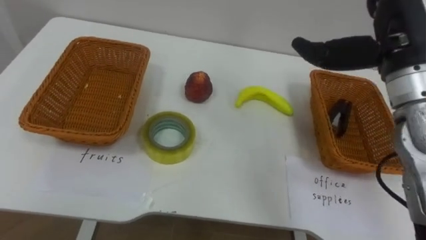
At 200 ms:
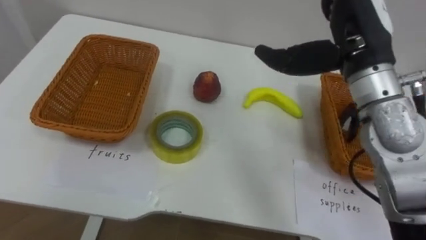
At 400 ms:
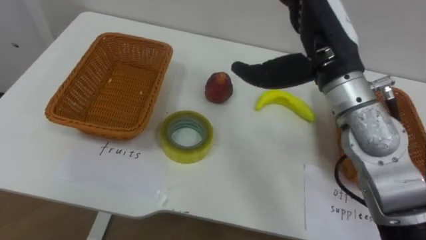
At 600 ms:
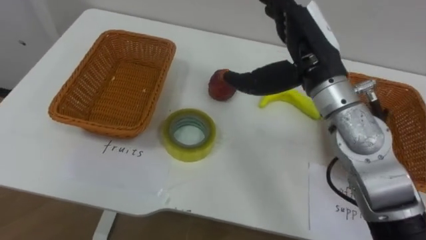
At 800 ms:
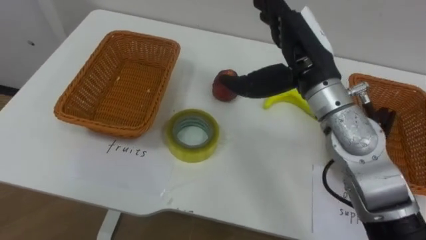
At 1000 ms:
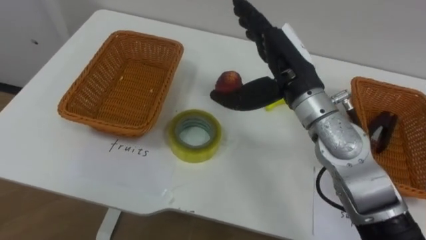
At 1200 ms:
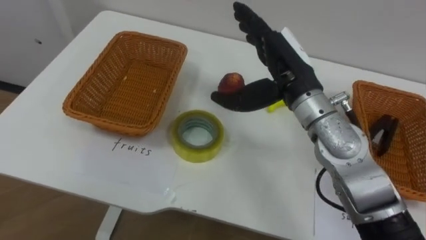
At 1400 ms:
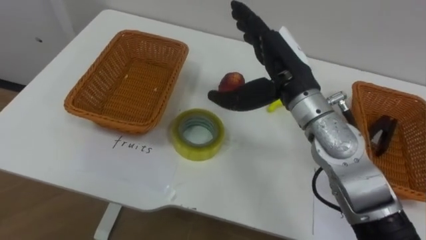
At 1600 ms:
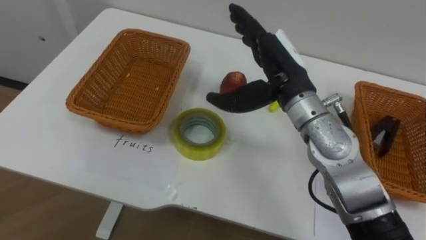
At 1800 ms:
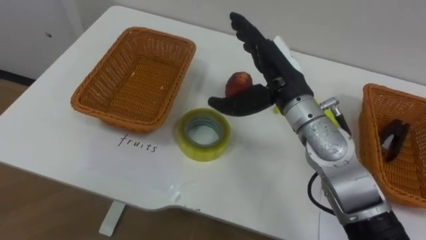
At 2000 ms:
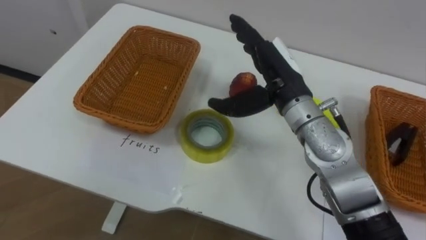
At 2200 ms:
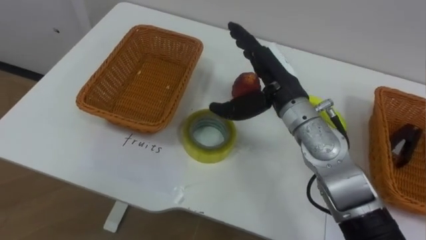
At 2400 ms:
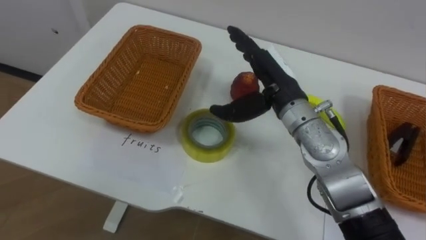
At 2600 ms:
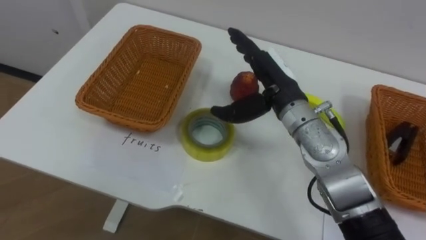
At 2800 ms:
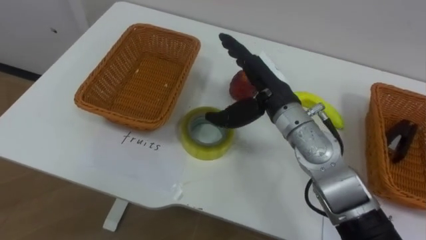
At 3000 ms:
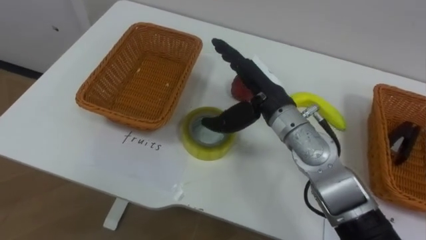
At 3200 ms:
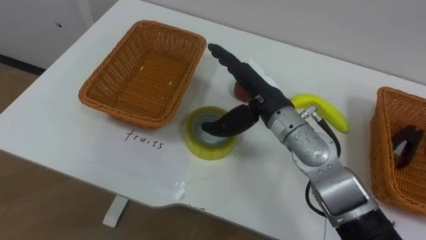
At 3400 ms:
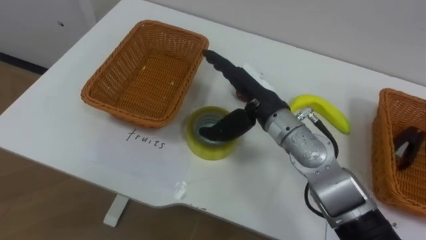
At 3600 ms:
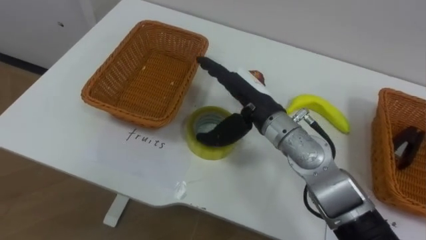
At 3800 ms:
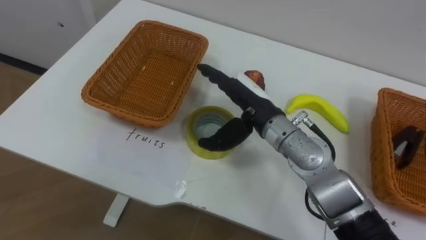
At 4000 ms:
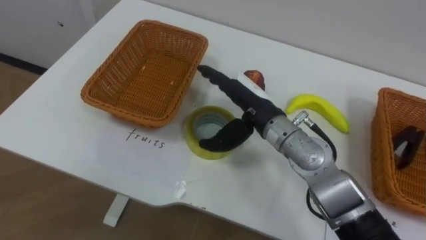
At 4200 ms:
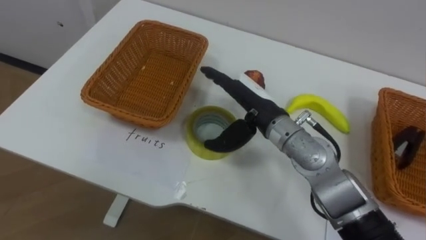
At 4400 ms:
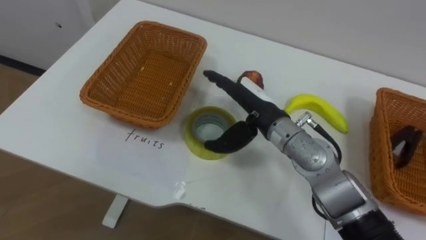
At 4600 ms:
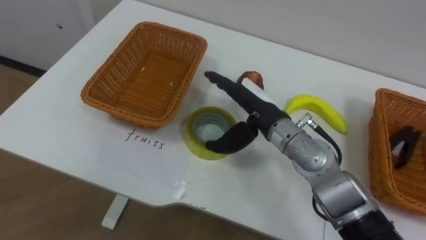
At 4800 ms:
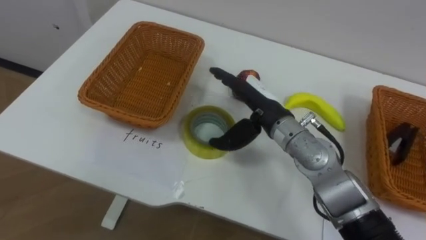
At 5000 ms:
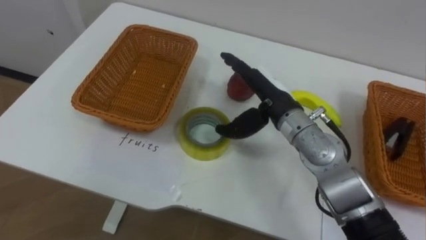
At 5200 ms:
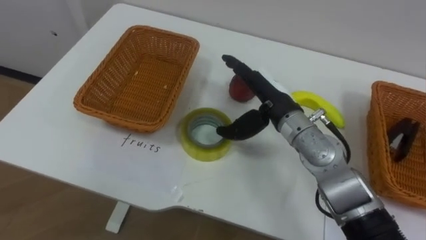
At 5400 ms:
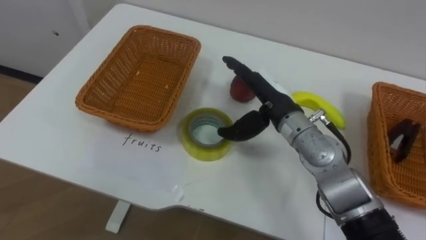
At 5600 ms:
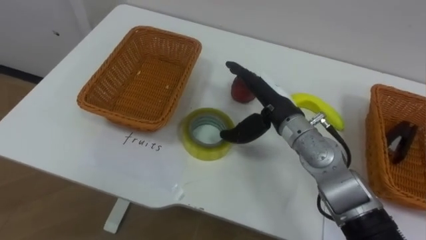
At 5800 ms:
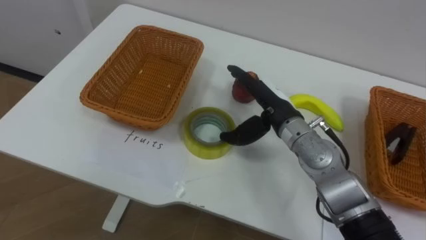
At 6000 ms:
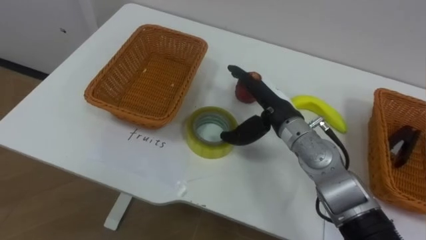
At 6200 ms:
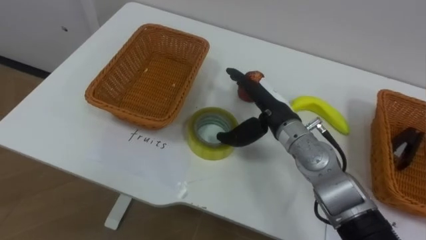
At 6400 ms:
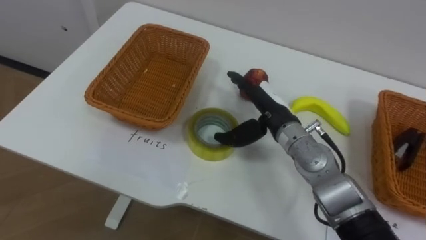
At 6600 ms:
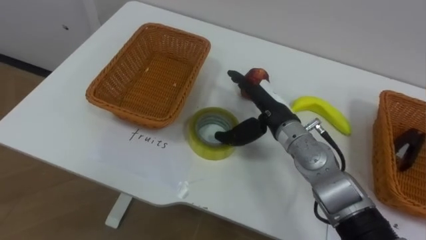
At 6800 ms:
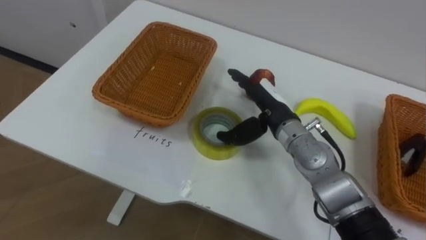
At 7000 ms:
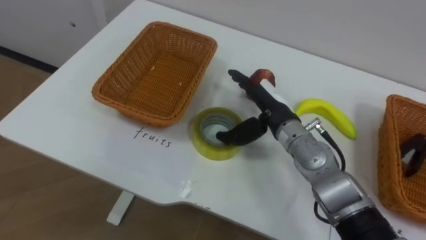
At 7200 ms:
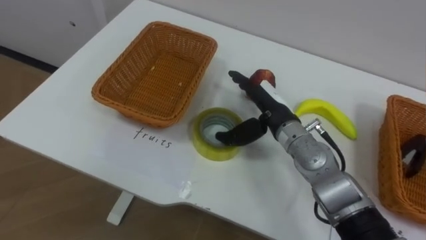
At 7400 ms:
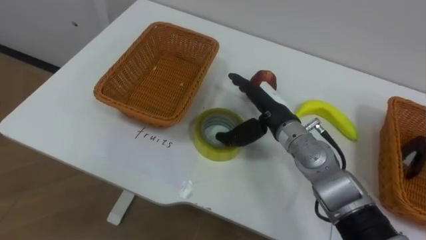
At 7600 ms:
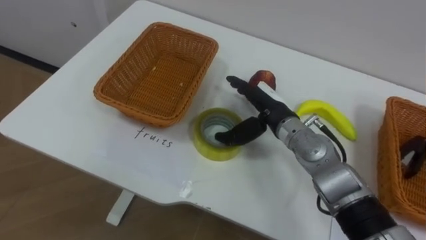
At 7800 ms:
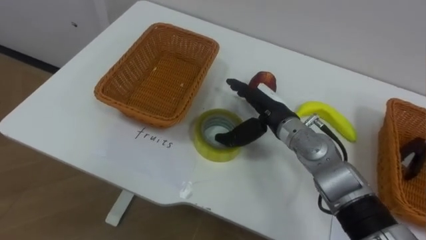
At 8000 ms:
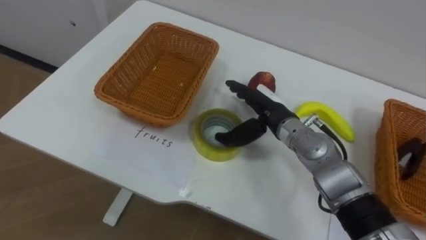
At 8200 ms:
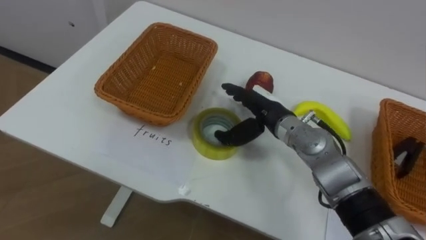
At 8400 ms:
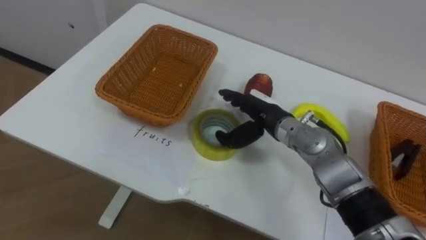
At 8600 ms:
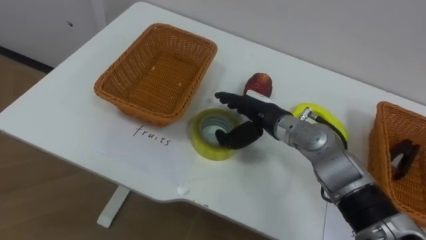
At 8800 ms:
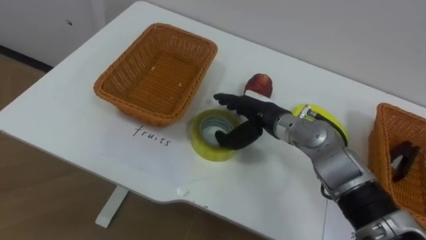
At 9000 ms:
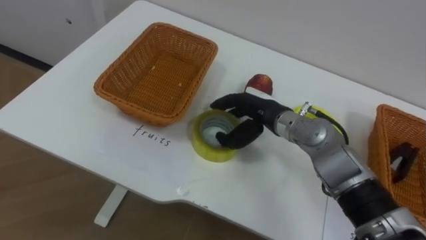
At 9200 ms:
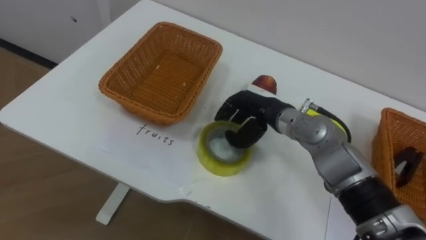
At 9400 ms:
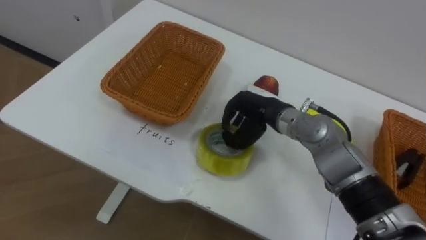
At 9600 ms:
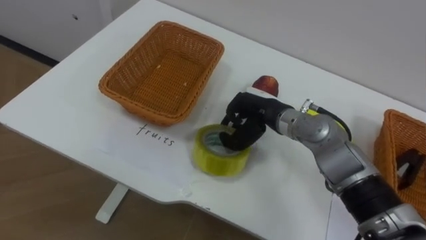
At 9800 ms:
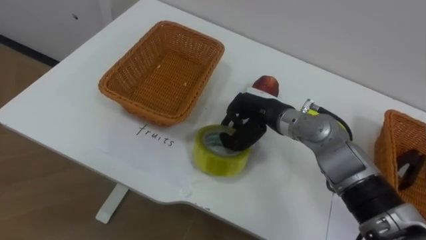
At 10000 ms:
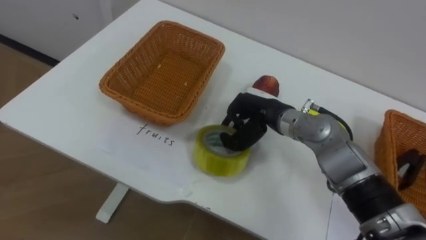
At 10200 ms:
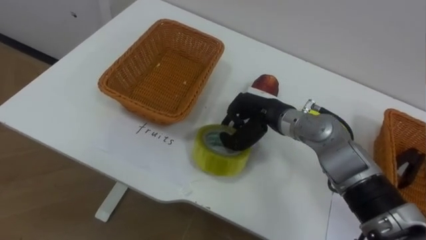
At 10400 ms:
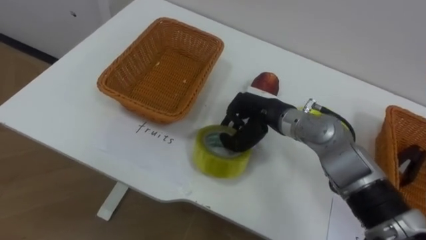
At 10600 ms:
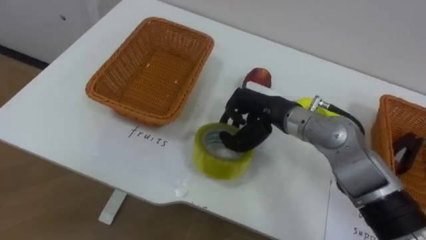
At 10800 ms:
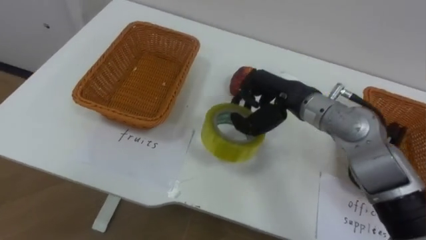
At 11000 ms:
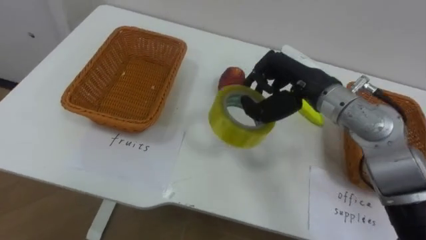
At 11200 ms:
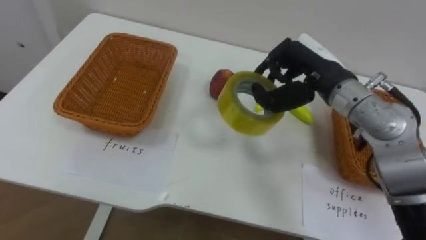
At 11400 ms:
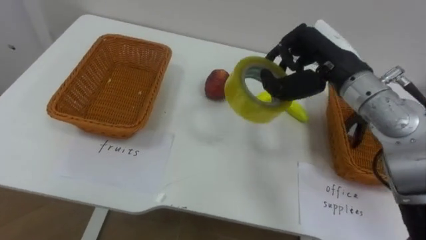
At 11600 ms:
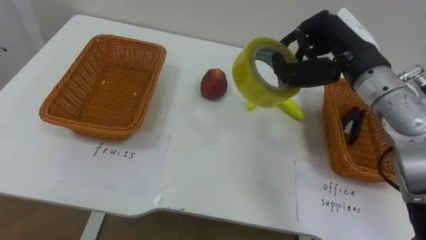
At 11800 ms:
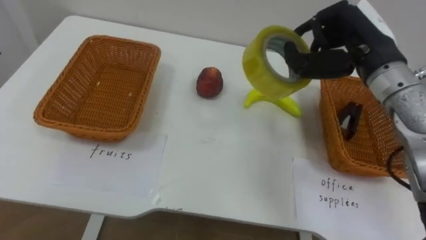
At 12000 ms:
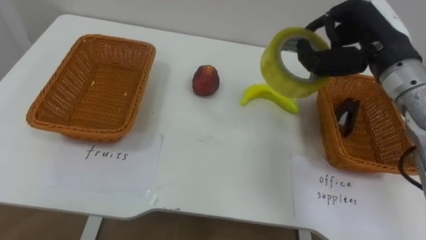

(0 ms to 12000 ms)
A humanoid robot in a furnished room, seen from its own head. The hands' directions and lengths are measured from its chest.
Task of the whole recording: Separate the items on the table and place them into the two baskets.
0 ms - 1600 ms: The right hand shifts about 15 cm to the left and downward.
9000 ms - 10400 ms: The right hand closes.
10400 ms - 12000 ms: The right hand is displaced upward and to the right by some 20 cm.

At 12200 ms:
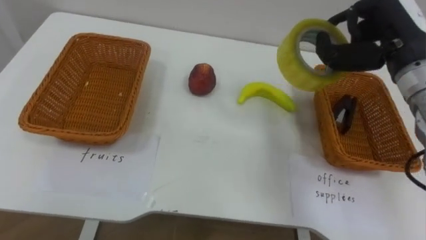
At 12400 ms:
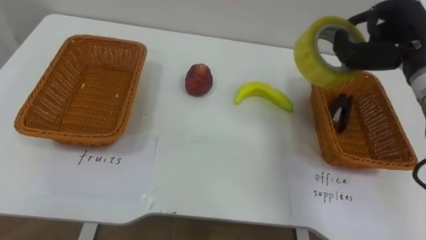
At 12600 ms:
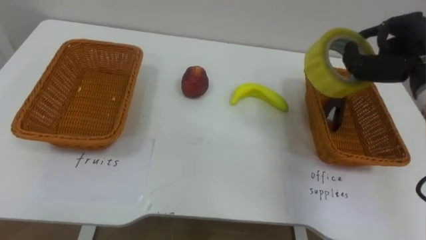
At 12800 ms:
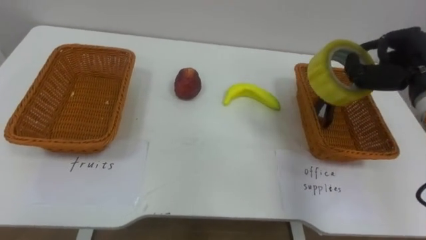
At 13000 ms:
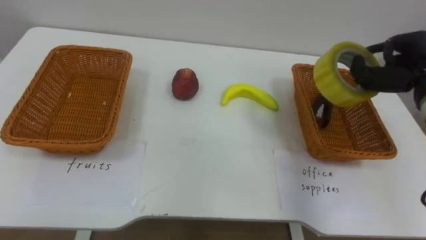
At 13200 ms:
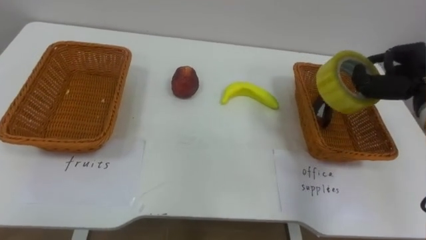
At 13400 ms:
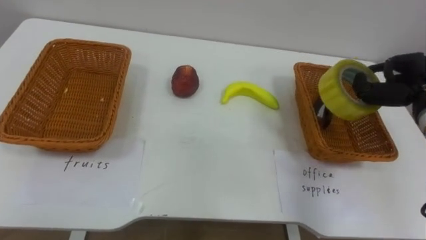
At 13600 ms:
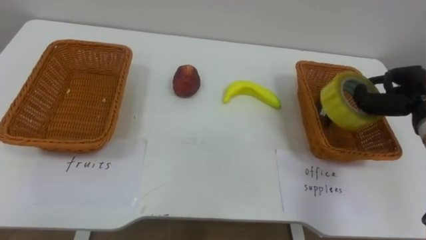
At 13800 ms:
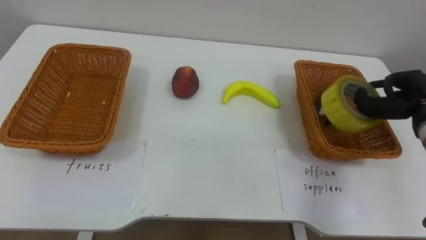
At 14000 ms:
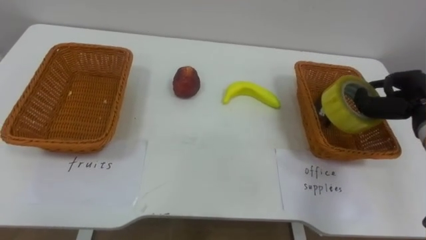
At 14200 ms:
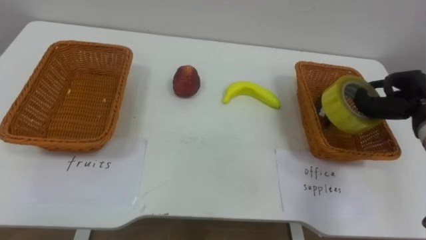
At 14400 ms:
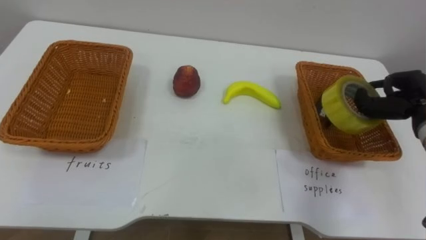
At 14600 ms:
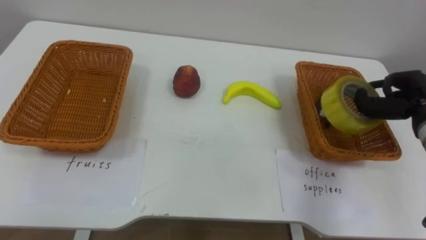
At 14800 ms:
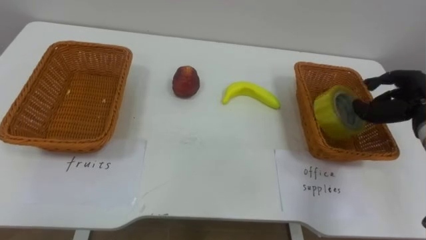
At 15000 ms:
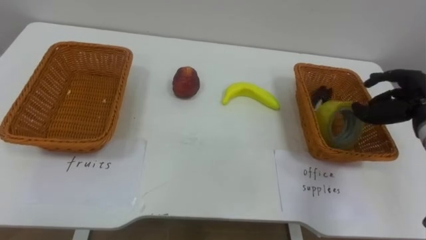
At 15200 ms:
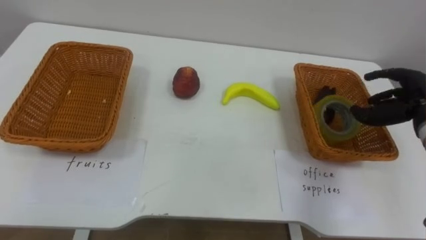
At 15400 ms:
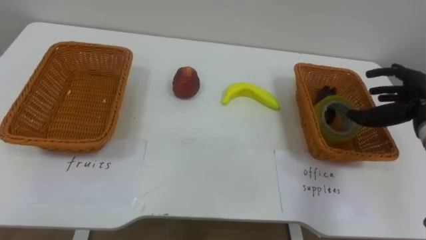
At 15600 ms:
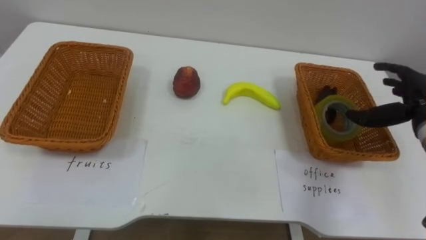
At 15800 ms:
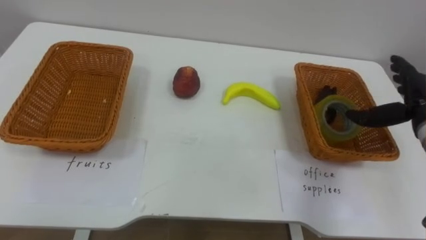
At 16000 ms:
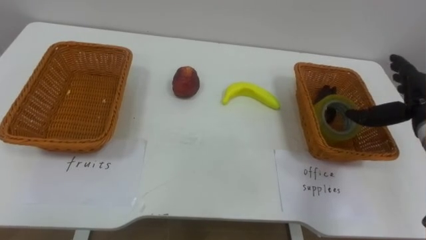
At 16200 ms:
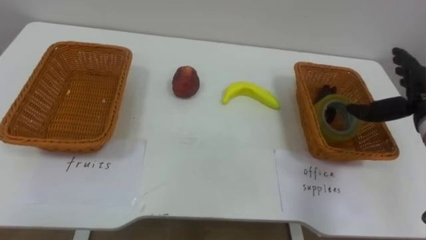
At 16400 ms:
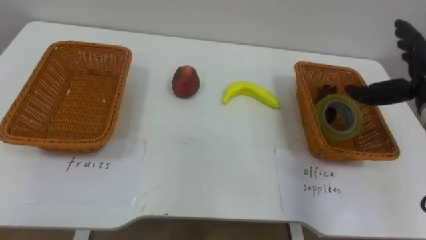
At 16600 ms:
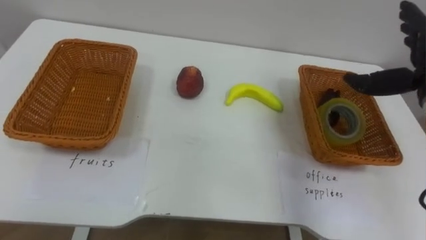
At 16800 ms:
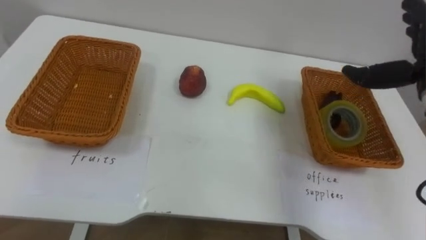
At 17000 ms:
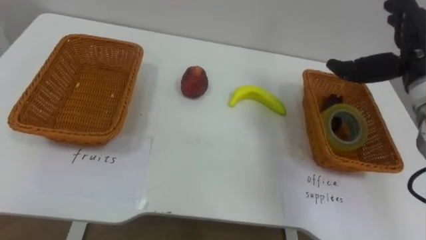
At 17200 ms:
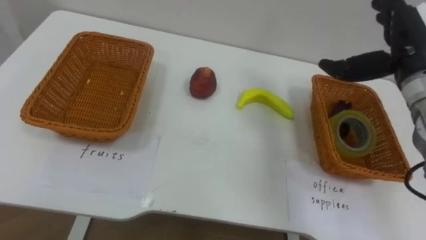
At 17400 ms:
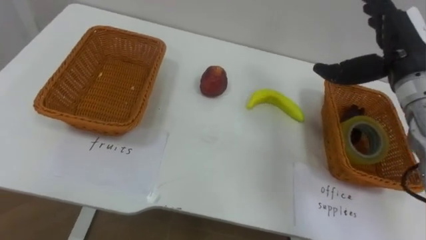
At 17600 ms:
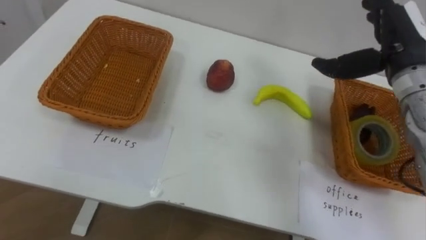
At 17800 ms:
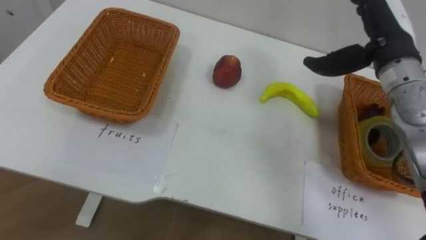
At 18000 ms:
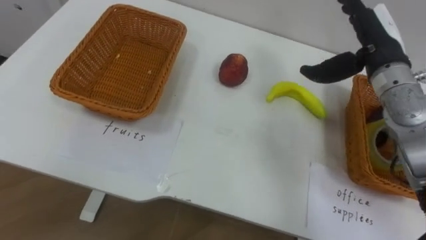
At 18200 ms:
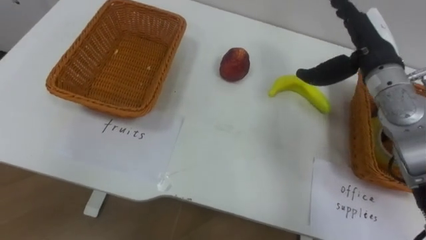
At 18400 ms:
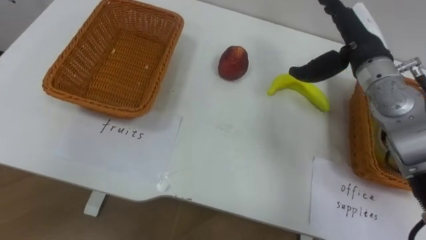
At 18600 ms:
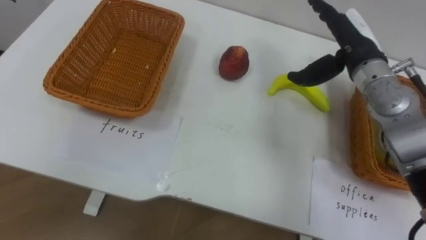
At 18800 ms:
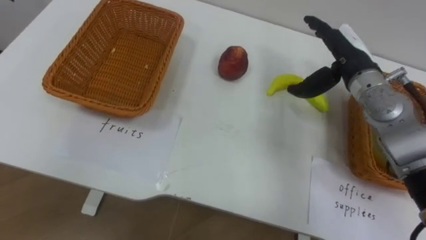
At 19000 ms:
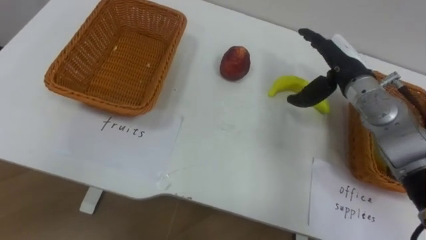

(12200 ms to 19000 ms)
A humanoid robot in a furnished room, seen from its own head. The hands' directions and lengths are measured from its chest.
Task of the whole recording: Separate the items on the table and place them into the two baskets.
12200 ms - 13600 ms: The right hand moves downward and to the right, some 15 cm.
15000 ms - 16200 ms: The right hand opens its fingers.
16200 ms - 17600 ms: The right hand travels upward and to the left by about 10 cm.
17600 ms - 19000 ms: The right hand moves downward and to the left, approximately 10 cm.
